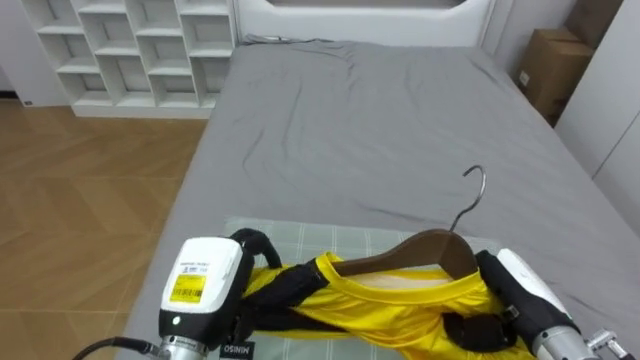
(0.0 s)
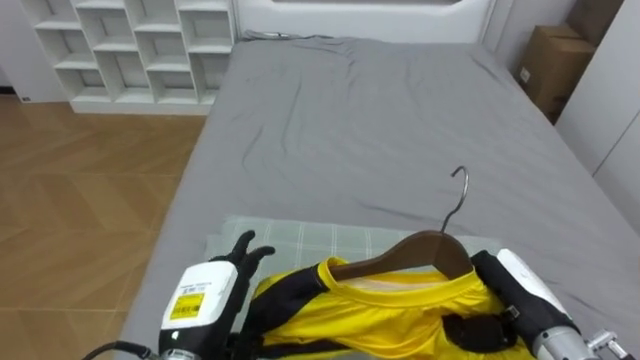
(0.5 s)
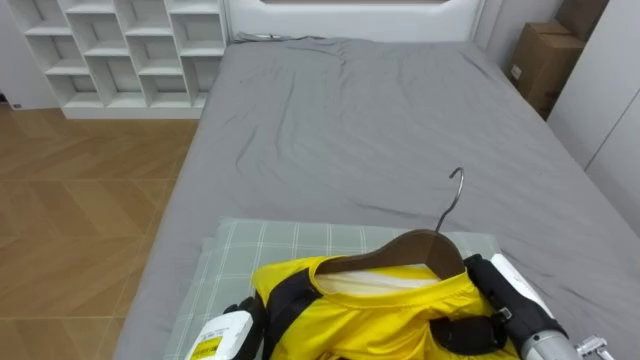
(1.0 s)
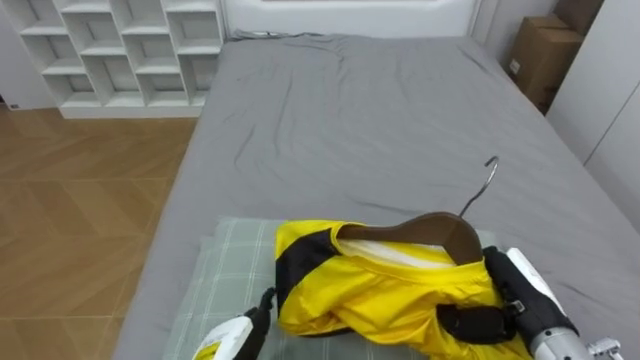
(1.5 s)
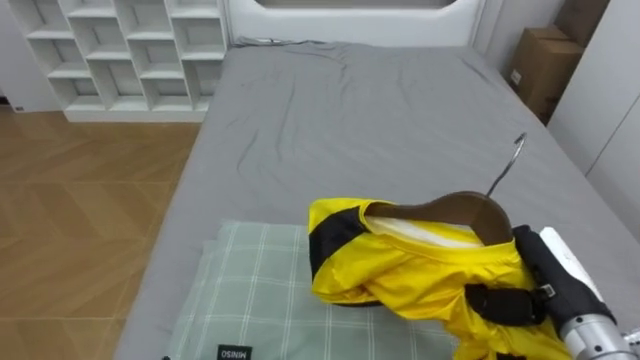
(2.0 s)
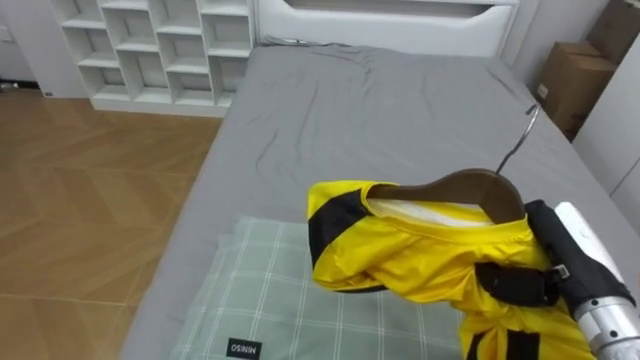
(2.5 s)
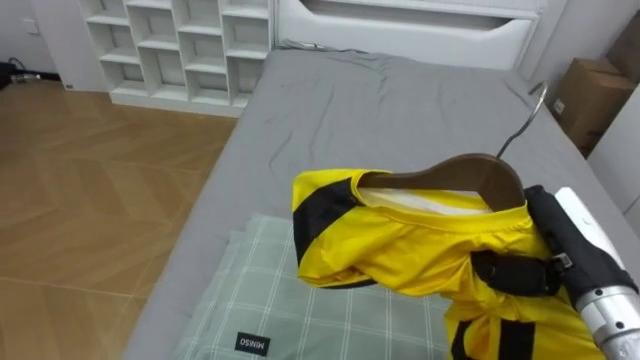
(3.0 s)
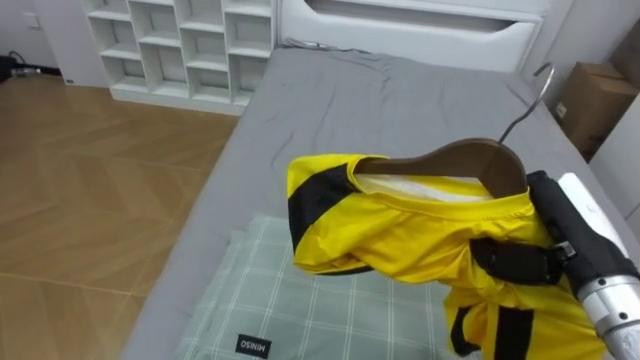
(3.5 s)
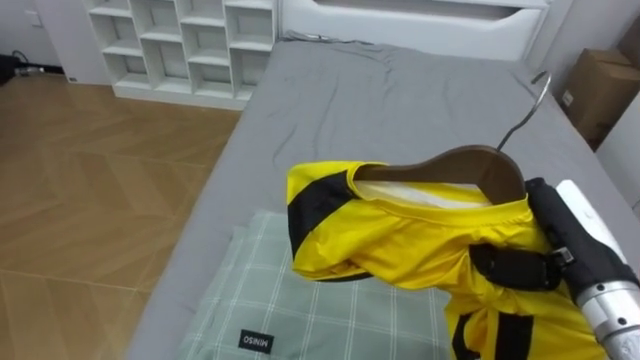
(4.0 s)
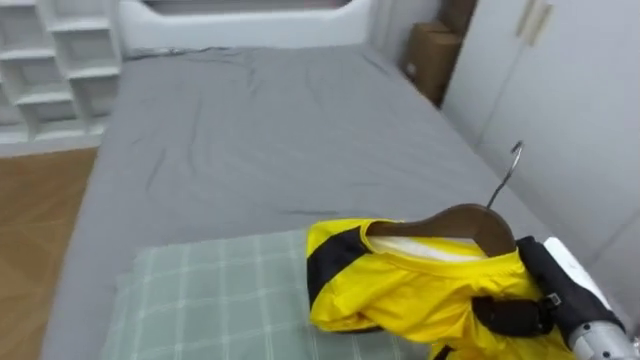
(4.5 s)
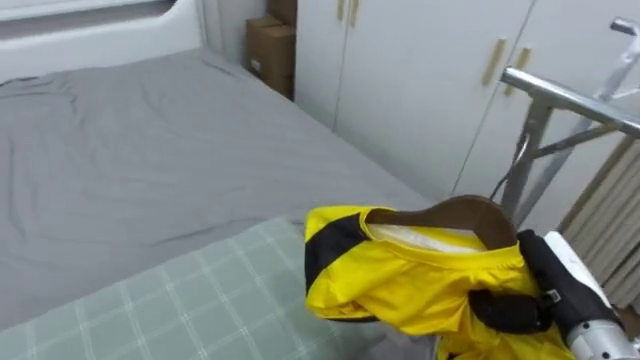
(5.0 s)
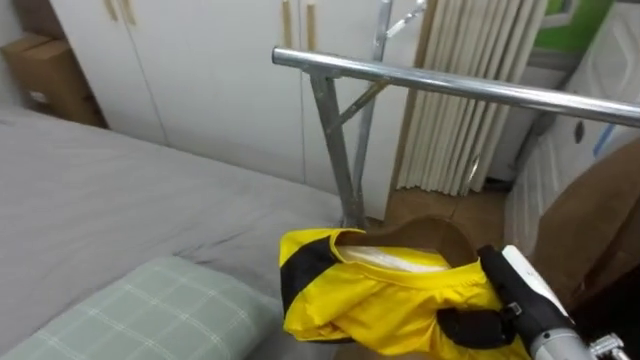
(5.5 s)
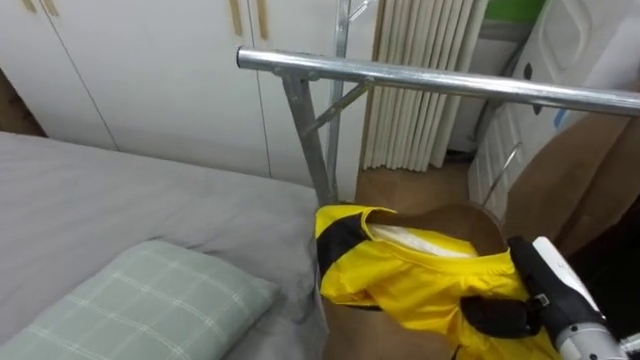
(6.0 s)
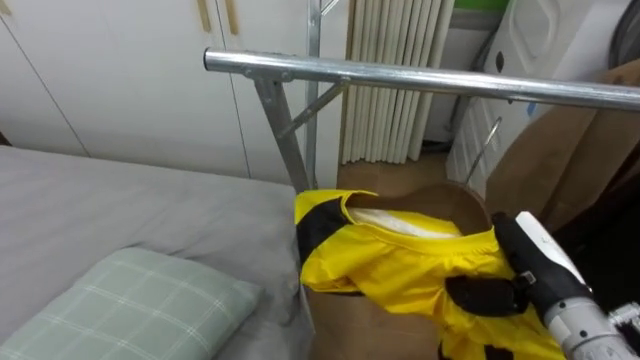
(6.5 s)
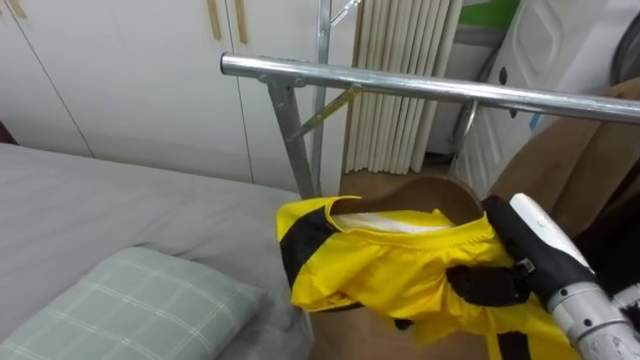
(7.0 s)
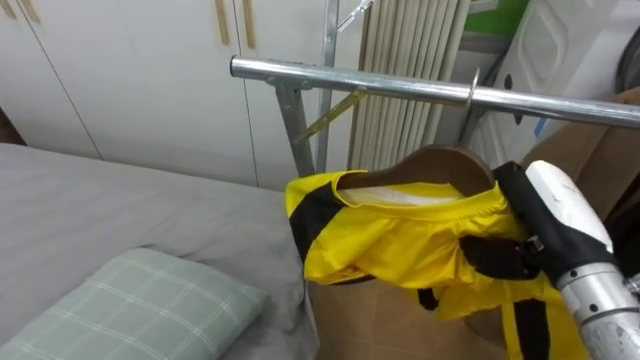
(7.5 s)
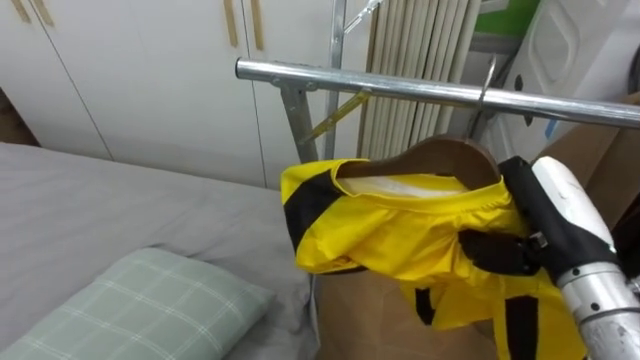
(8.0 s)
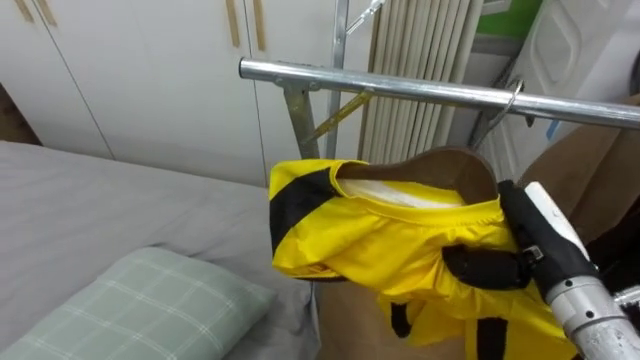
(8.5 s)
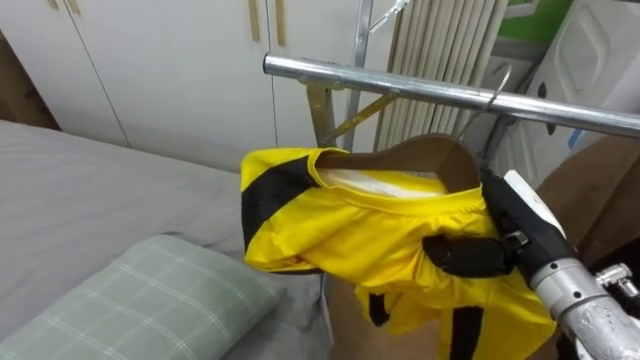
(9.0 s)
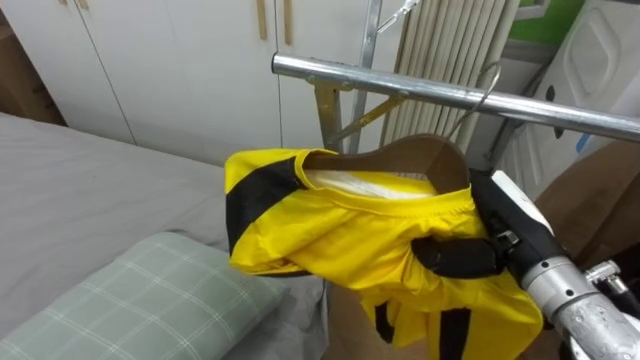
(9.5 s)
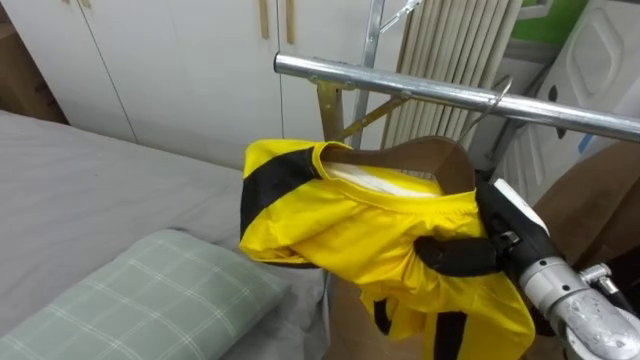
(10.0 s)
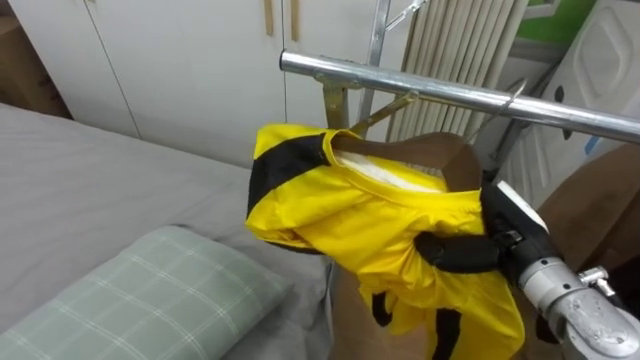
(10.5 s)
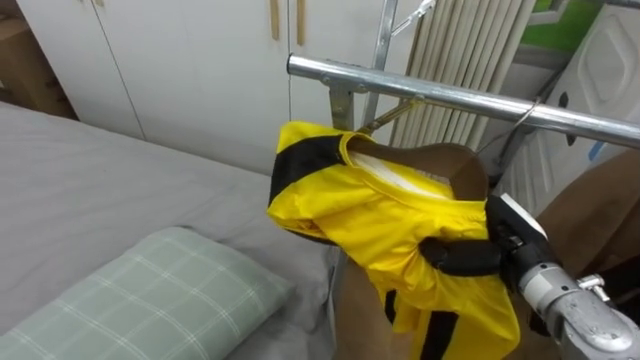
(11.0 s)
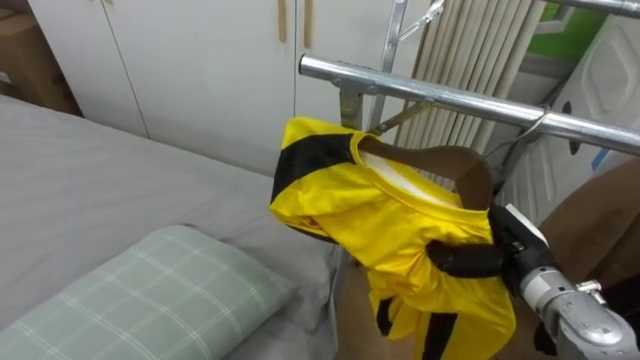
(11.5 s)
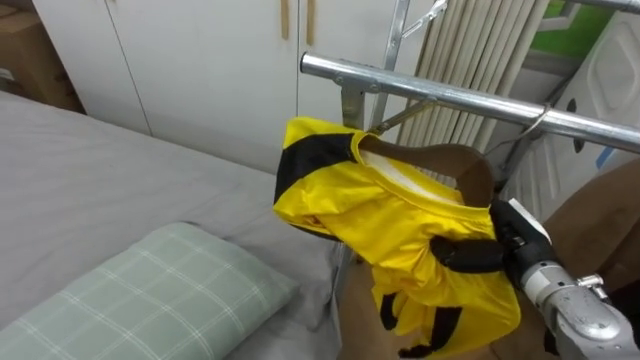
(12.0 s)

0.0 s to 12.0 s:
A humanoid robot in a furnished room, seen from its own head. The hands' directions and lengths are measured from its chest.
Task of the whole recording: Pick up the yellow shirt on the bed and hang it on the clothes rack on the right.
2.0 to 4.0 s: The right hand moves upward, some 5 cm.
4.0 to 6.0 s: The robot's body swings approximately 80 degrees to its right. The right hand heads downward, covering some 5 cm.
6.0 to 8.0 s: The right hand heads upward, covering some 10 cm.
8.0 to 10.0 s: The right hand travels downward by some 5 cm.
10.0 to 12.0 s: The right hand heads downward, covering approximately 5 cm.

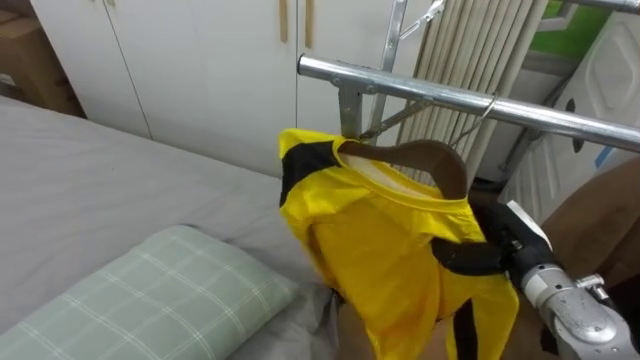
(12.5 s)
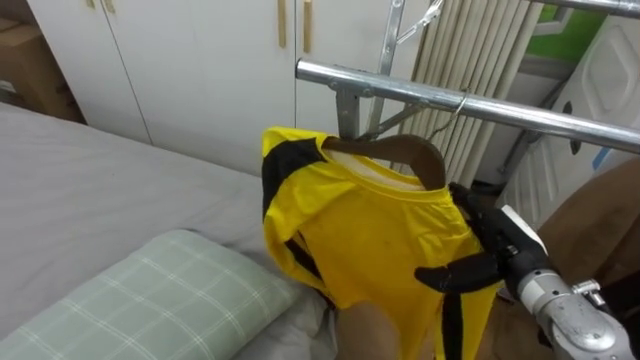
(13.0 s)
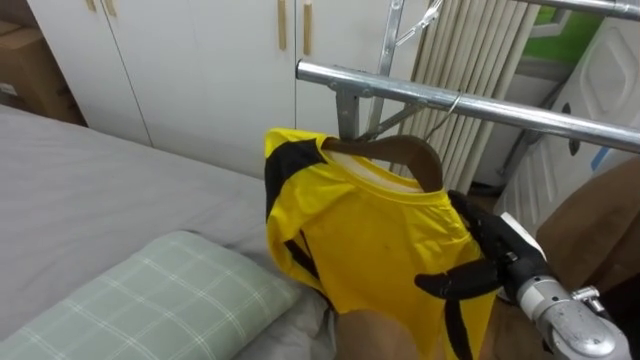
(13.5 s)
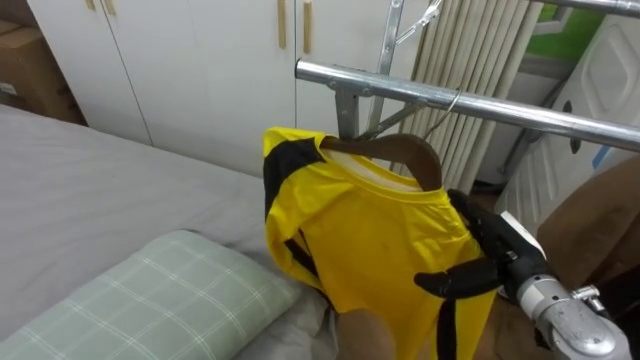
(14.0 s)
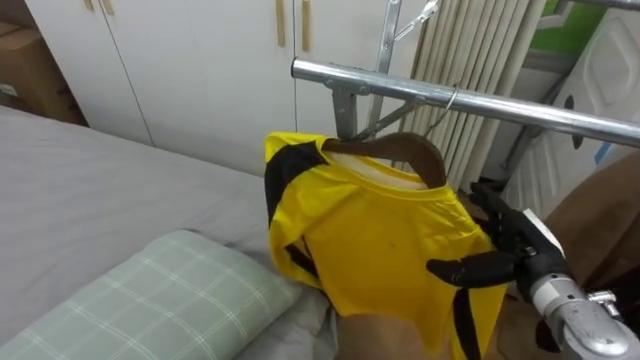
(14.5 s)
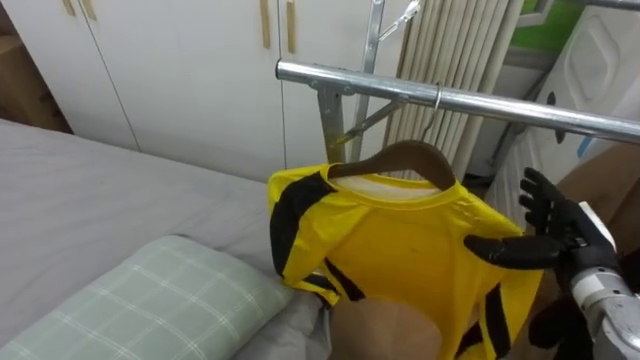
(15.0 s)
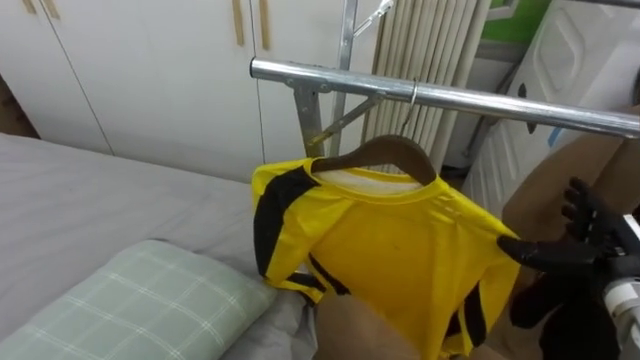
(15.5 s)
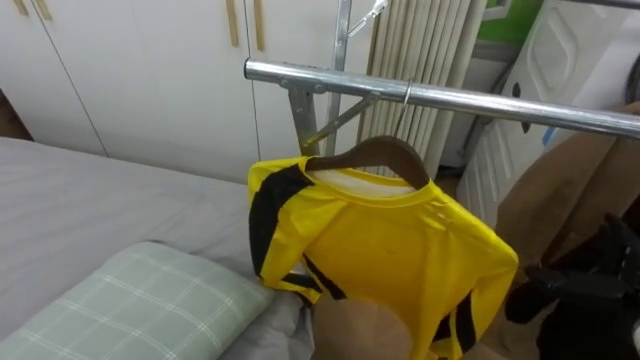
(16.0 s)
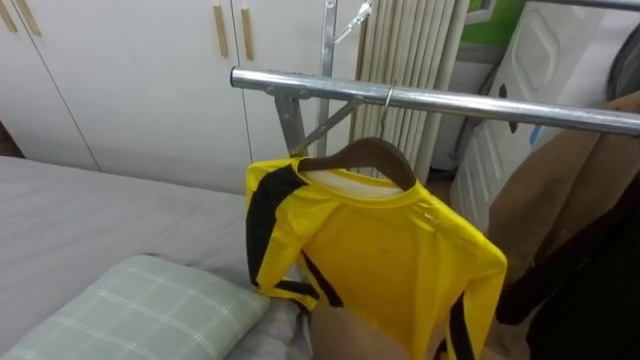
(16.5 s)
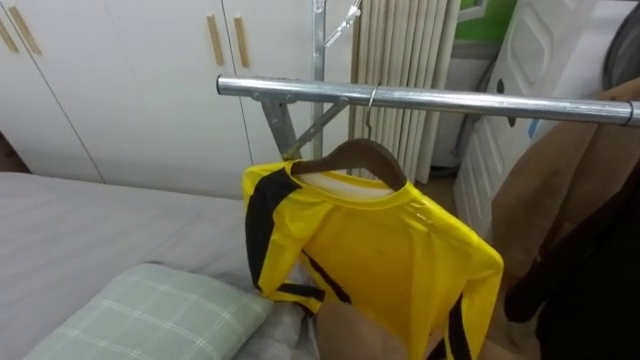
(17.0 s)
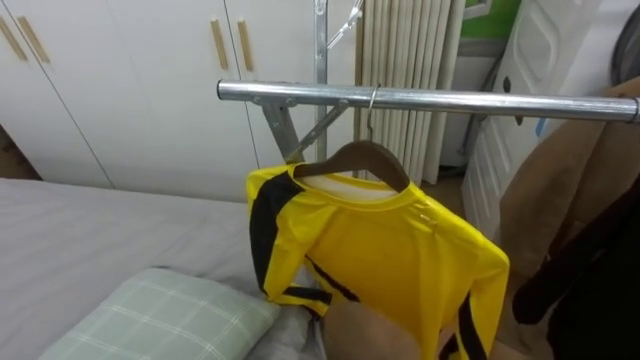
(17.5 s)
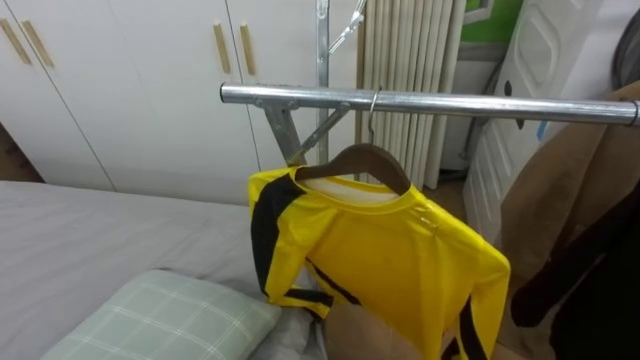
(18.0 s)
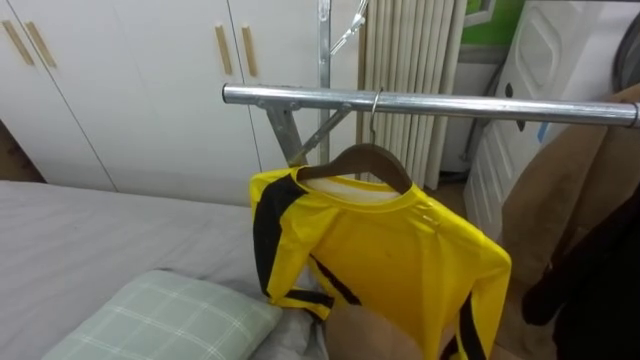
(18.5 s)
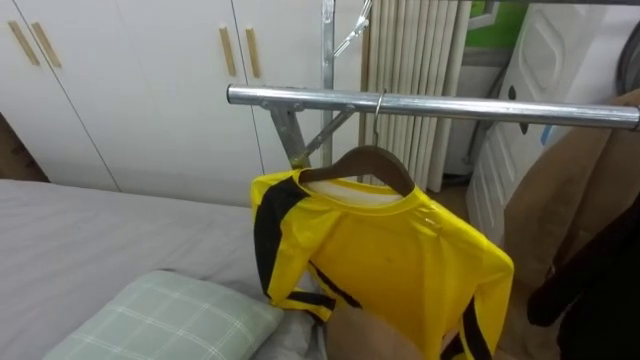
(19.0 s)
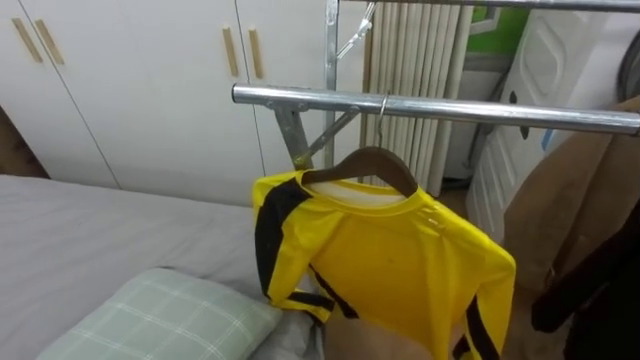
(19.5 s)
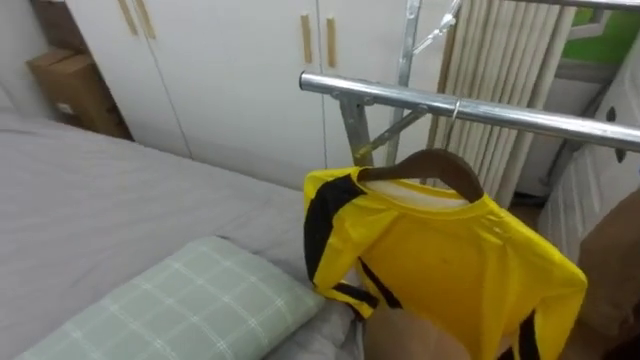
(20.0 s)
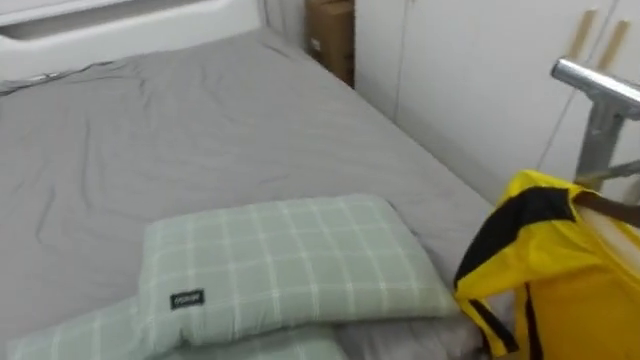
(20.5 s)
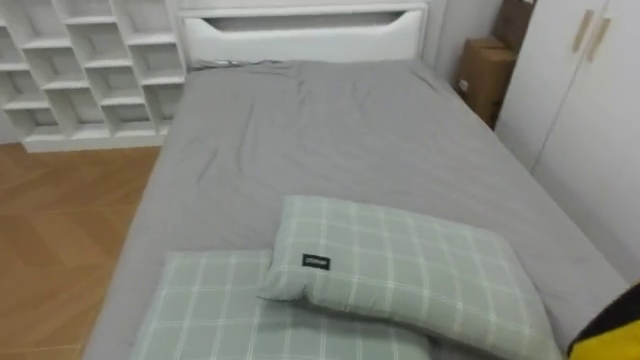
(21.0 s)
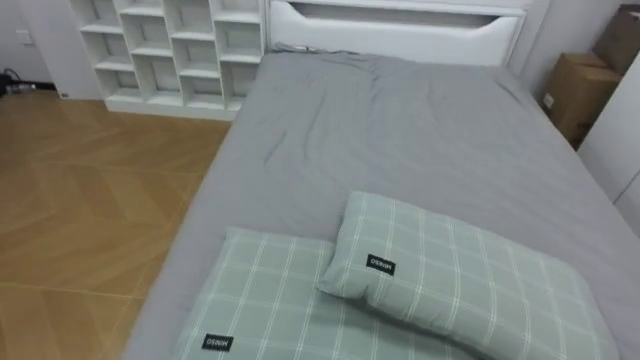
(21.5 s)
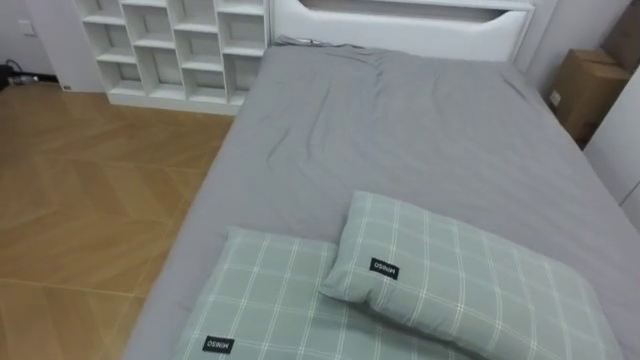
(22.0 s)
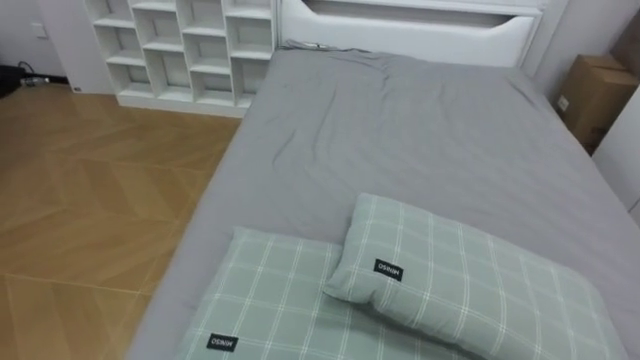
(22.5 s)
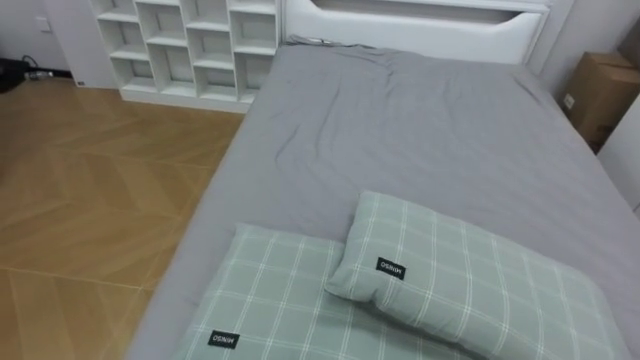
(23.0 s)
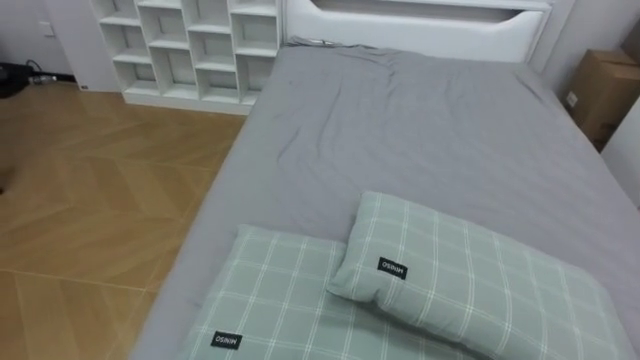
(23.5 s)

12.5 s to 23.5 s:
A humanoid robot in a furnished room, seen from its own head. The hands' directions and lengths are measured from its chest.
Task of the whole recording: Pick up the yellow shirt on the bed and hang it on the clothes rack on the right.
12.5 to 14.5 s: The right hand opens its fingers.
14.5 to 16.0 s: The right hand moves to the right, about 10 cm.
20.0 to 21.5 s: The robot faces approximately 70 degrees further to its left.
